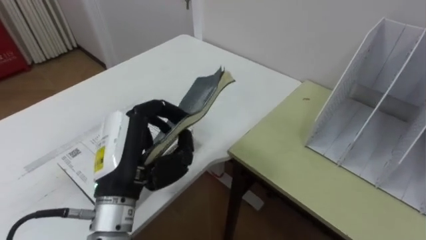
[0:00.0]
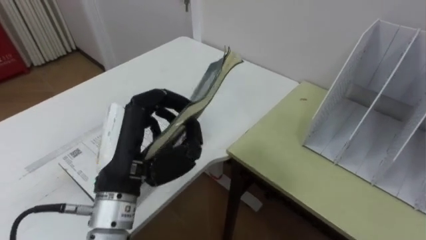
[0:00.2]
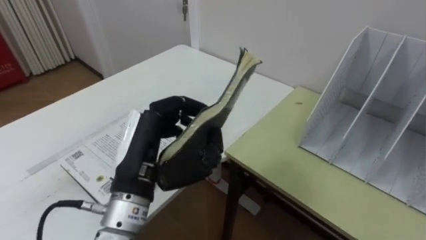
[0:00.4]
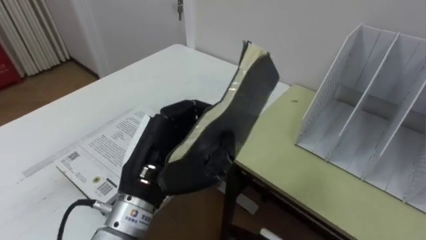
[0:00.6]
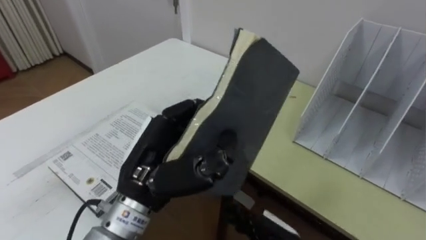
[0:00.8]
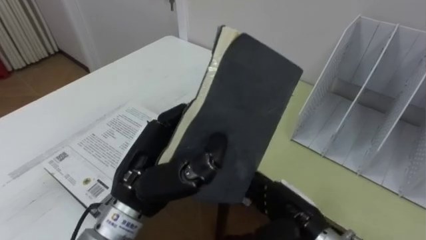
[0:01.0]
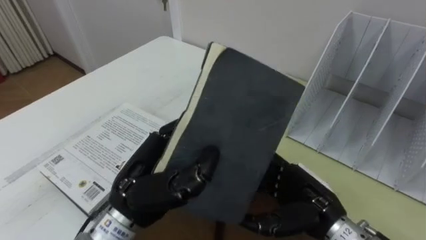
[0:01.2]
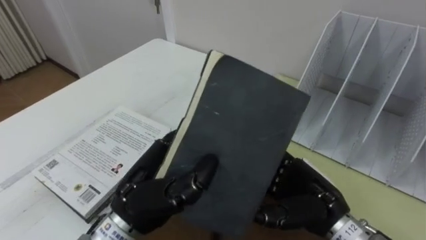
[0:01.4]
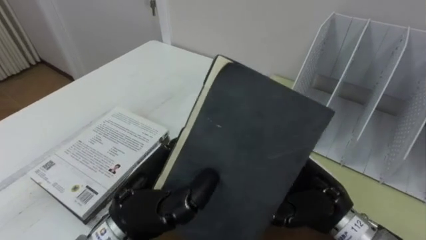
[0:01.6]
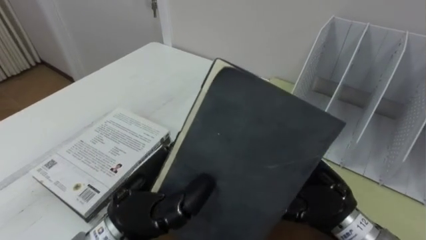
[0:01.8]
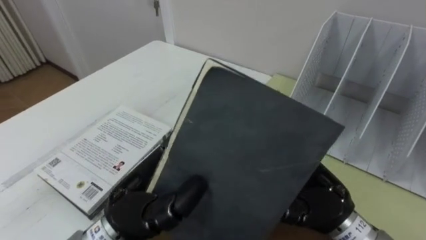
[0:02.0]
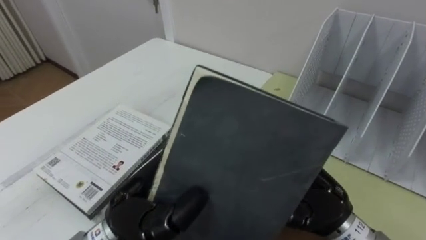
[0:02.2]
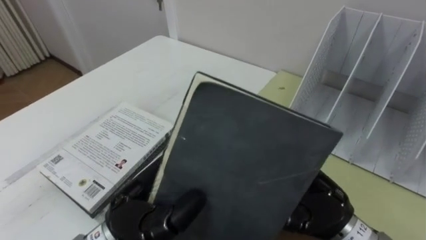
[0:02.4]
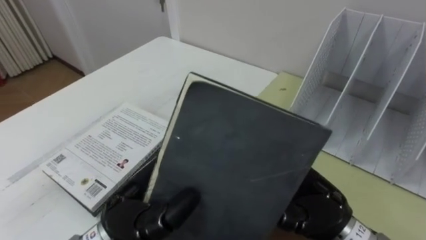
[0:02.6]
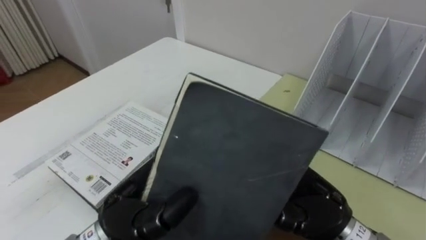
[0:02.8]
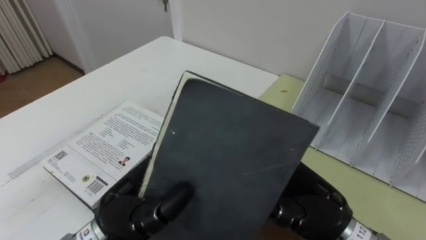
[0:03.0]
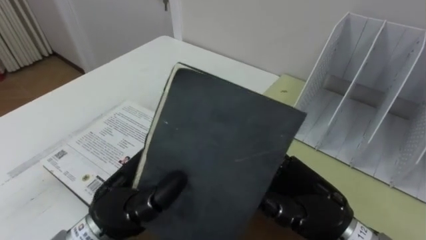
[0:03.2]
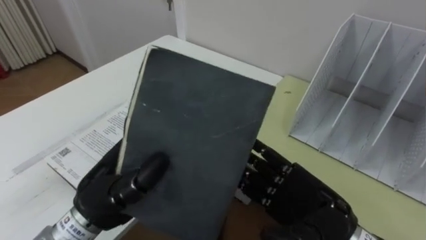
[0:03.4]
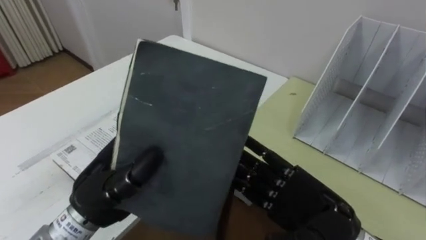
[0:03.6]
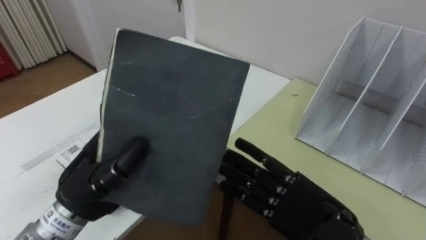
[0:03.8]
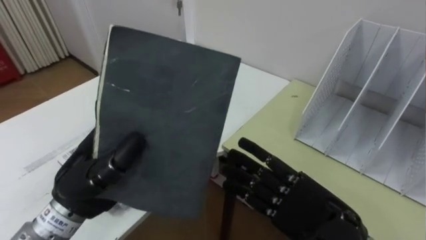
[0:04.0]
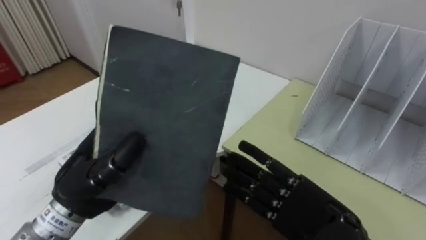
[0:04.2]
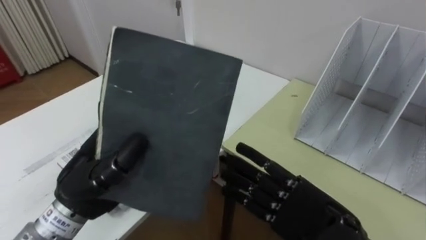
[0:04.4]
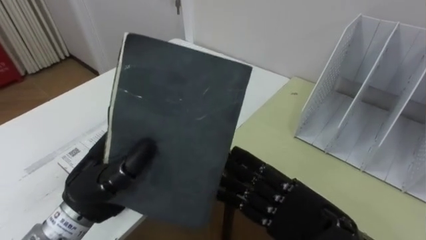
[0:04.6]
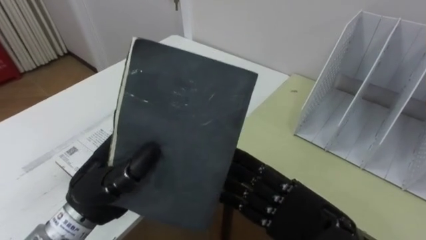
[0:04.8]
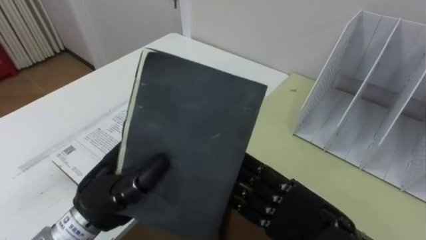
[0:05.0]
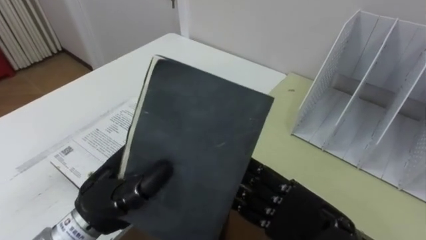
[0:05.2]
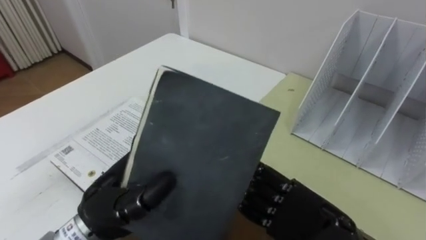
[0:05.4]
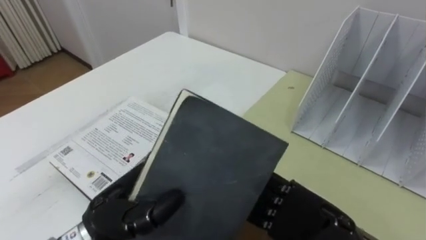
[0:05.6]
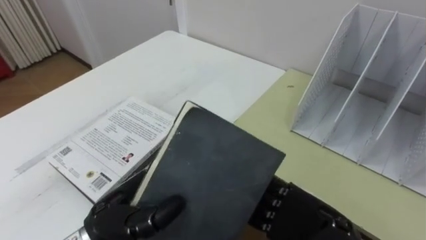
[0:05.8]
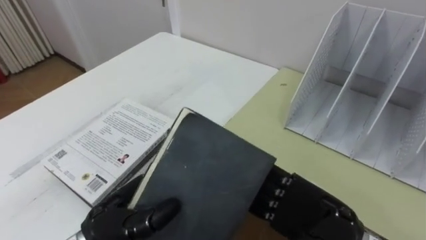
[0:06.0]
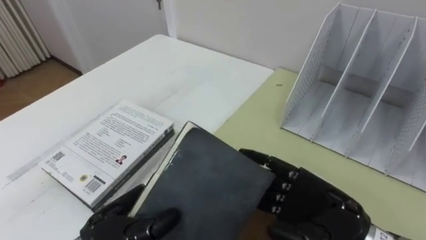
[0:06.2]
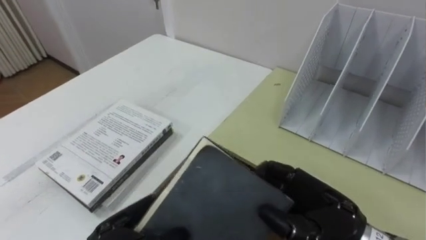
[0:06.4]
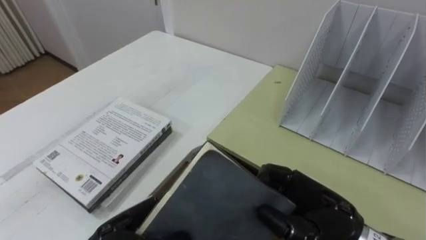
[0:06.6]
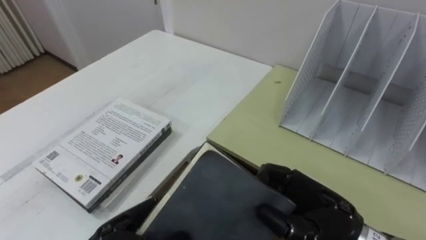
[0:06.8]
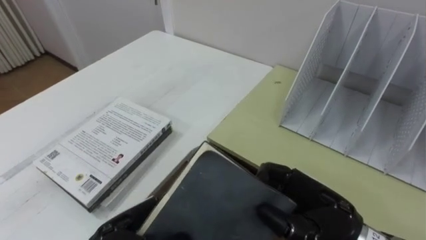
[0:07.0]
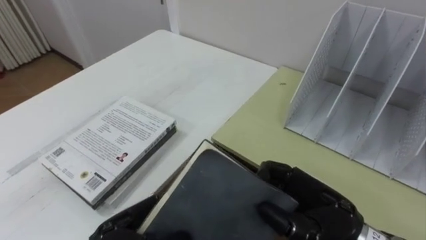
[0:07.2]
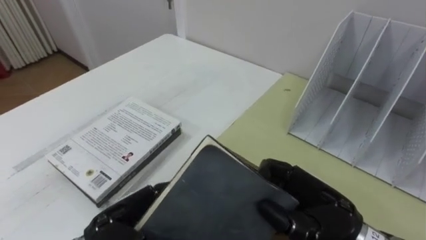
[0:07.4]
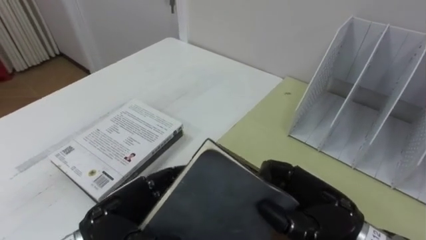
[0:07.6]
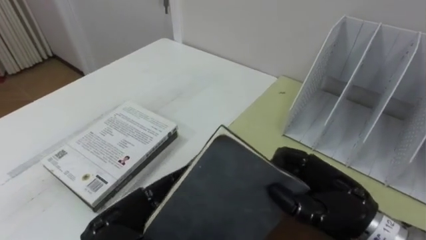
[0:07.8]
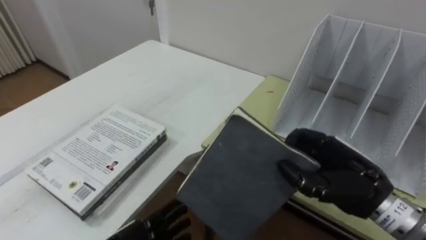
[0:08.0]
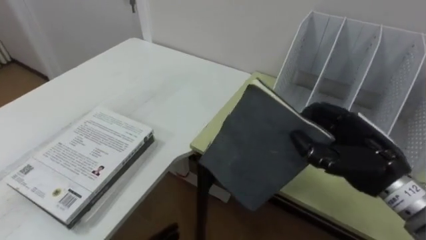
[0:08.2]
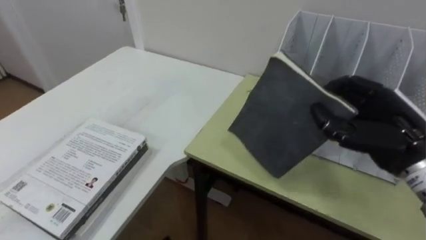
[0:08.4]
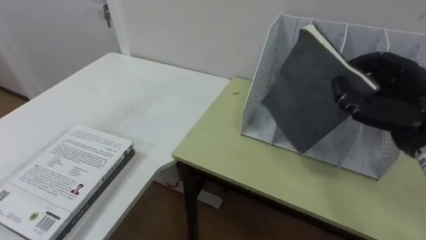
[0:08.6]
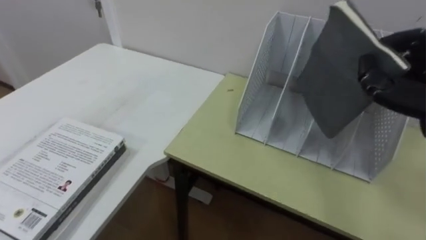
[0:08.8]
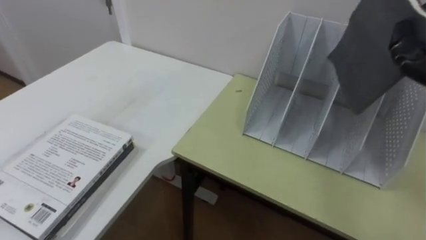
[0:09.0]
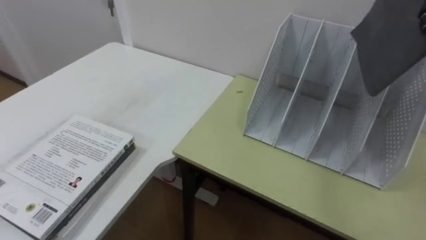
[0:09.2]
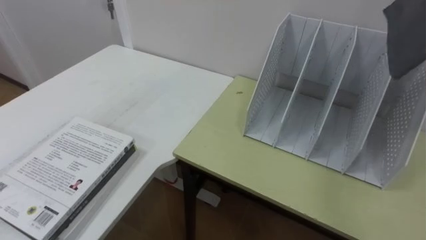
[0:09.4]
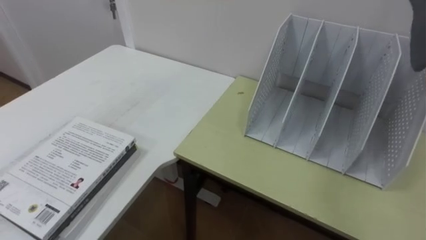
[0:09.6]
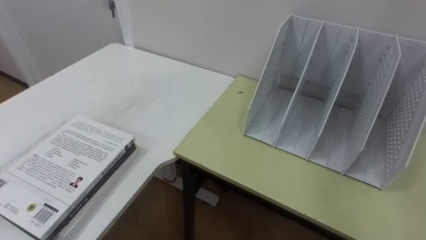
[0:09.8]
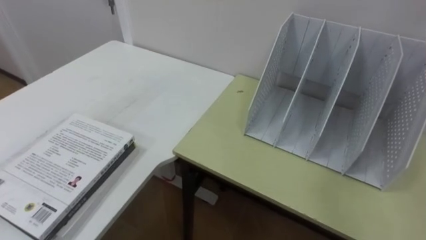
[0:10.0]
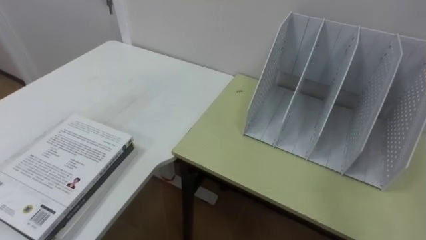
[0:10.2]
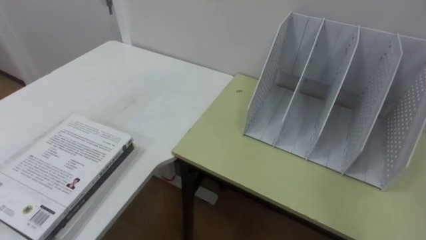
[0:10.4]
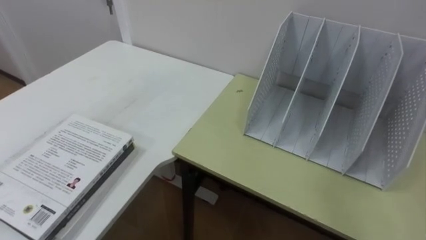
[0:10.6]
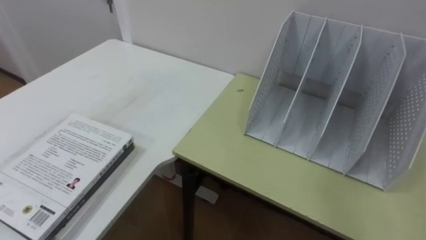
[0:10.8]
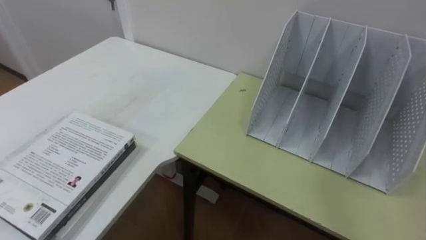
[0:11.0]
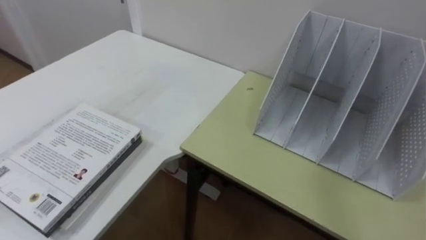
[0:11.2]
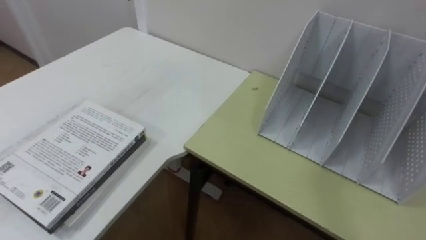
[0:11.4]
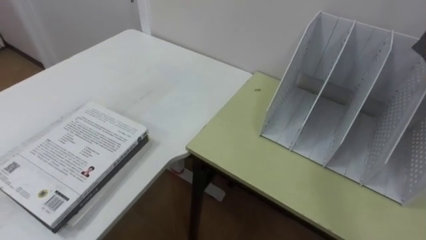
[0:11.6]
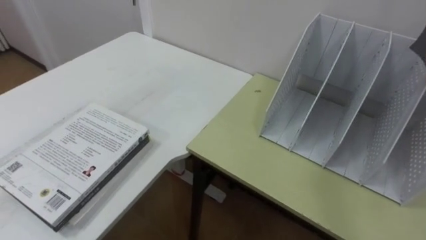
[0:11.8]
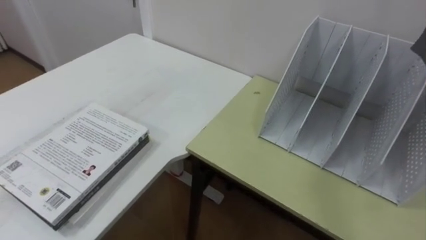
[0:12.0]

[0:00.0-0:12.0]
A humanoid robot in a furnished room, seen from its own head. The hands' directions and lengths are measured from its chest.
Task of the whole recording: Put the books on the table onto the bookshelf.
0:00.0 to 0:01.6: The left hand changes place by approximately 5 cm.
0:03.0 to 0:04.4: The left hand shifts about 5 cm to the left.
0:04.4 to 0:06.0: The left hand moves downward, some 5 cm.
0:06.0 to 0:07.6: The right hand closes. The left hand opens up.

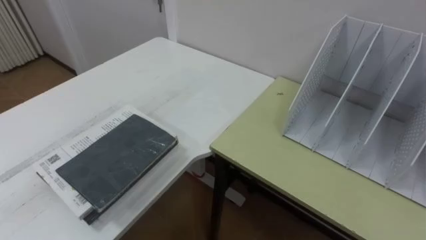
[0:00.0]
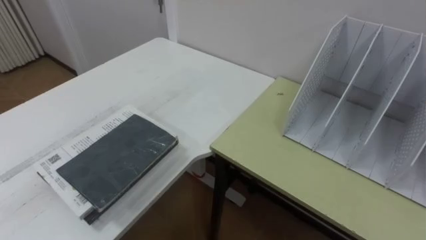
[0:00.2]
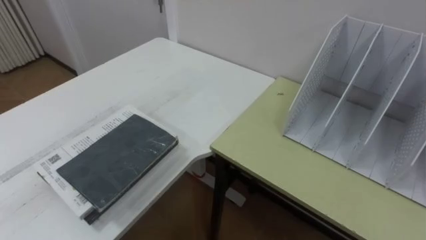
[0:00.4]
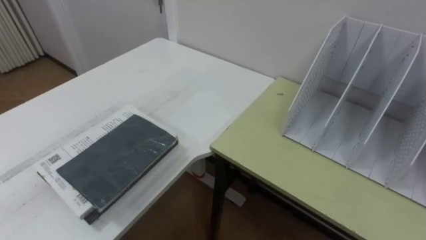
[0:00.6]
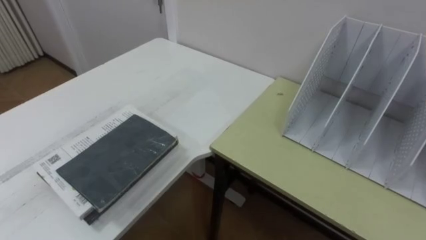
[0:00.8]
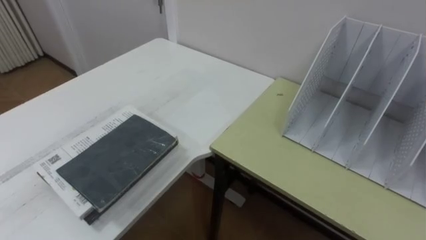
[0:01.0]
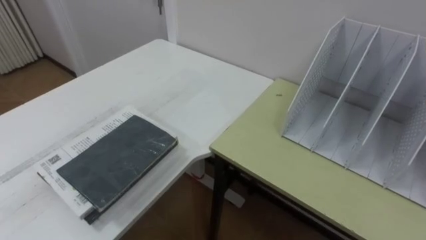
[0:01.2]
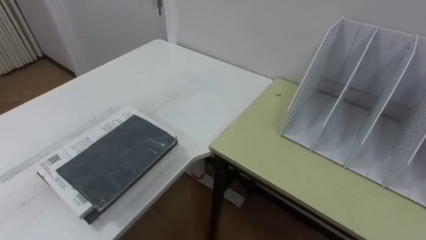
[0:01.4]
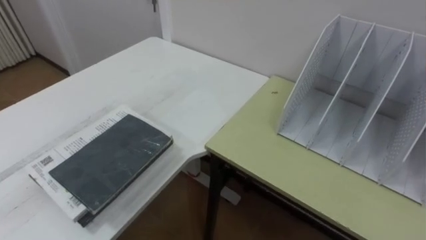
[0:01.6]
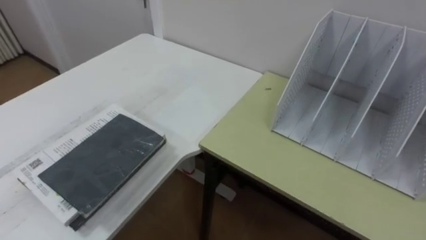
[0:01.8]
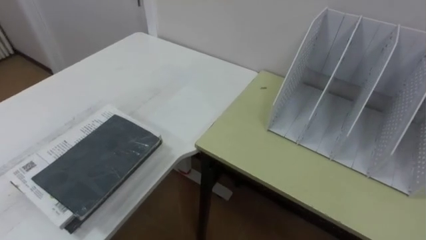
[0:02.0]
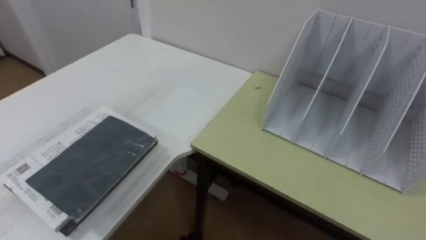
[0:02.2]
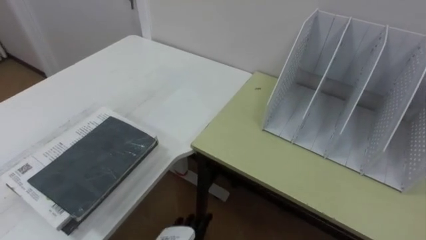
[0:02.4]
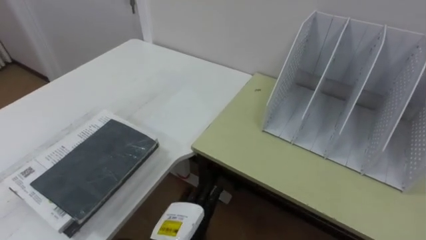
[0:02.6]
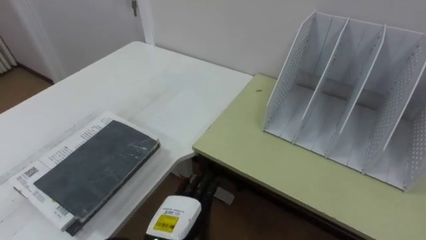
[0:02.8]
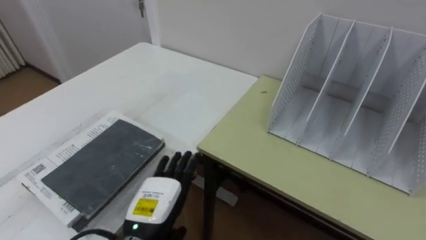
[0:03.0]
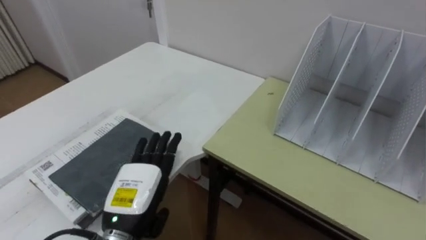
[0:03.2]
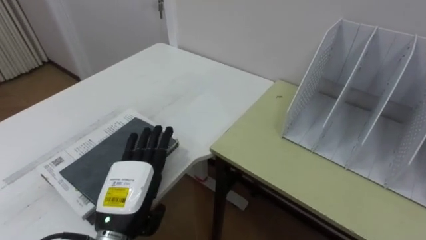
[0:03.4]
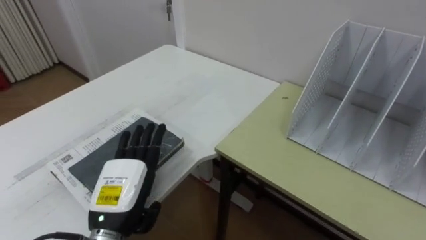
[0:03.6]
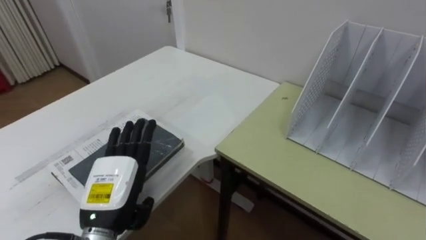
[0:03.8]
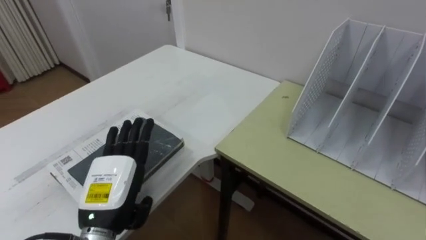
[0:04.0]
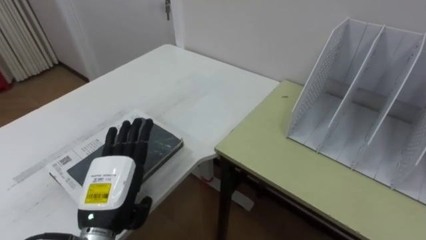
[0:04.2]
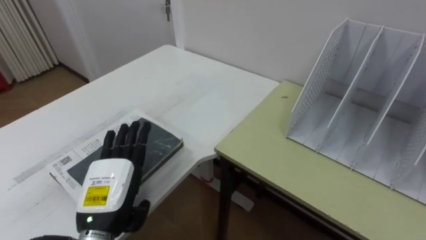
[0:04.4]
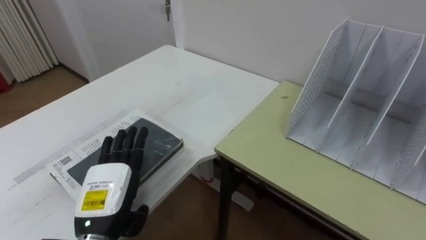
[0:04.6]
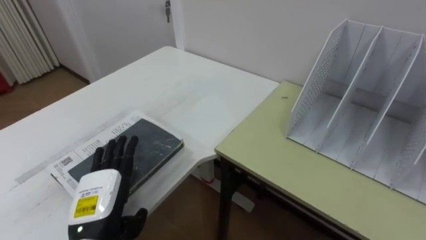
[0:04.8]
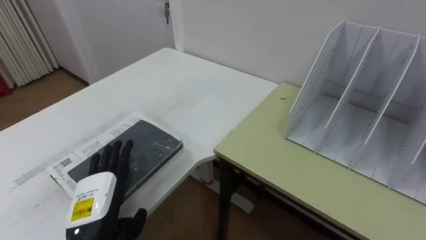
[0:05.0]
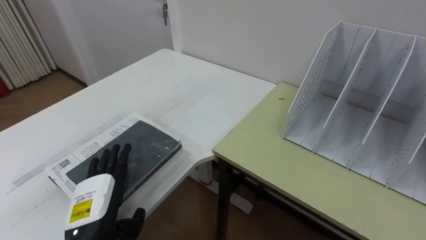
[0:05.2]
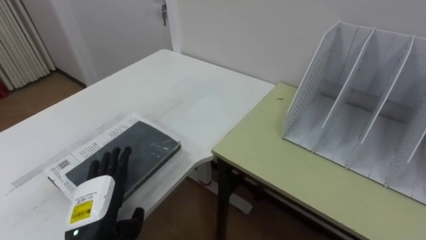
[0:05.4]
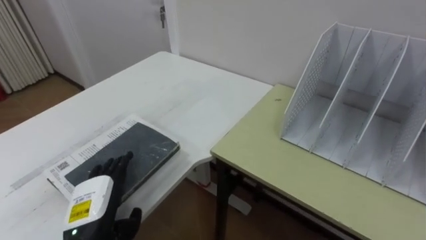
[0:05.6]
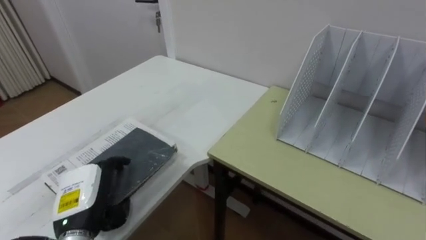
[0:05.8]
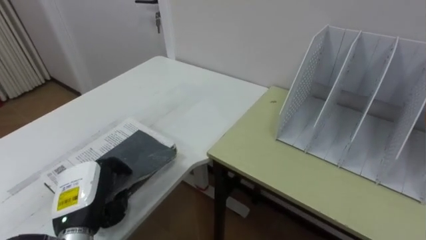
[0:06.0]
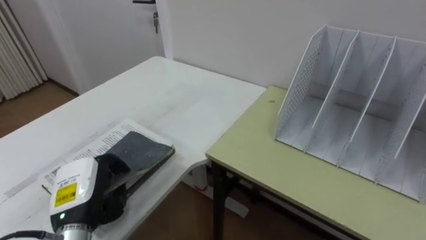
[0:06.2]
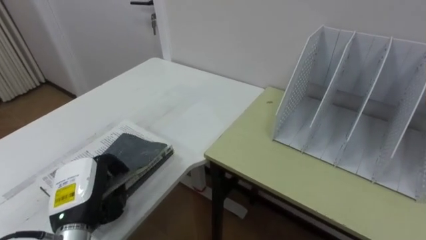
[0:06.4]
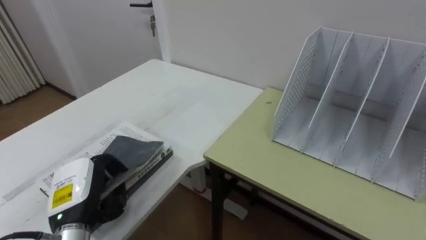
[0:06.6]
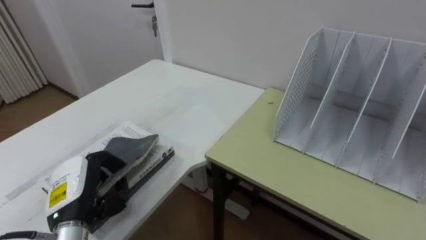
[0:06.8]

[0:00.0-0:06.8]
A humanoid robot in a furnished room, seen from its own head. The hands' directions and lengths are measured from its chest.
Task of the whole recording: Put the books on the table onto the bookshelf.
0:02.8 to 0:04.0: The left hand heads to the left and upward, covering approximately 15 cm.
0:04.0 to 0:05.4: The left hand heads downward, covering about 5 cm.
0:05.4 to 0:06.8: The left hand closes its fingers.
